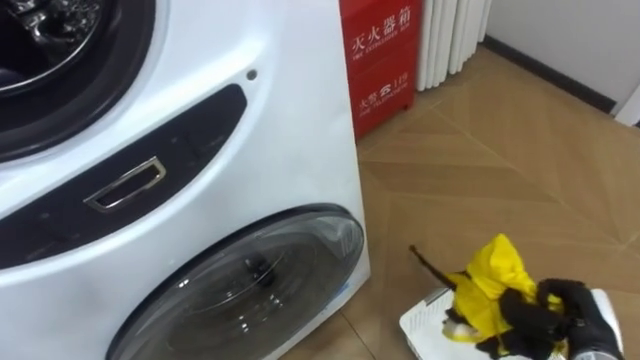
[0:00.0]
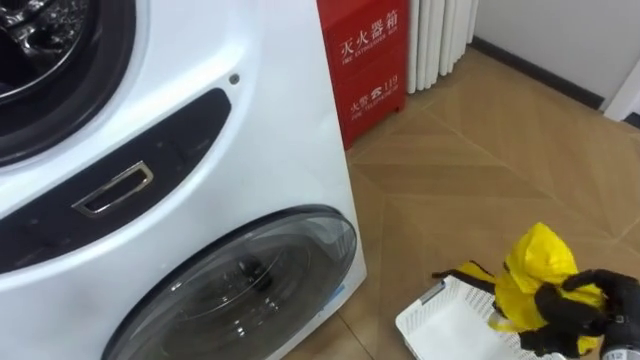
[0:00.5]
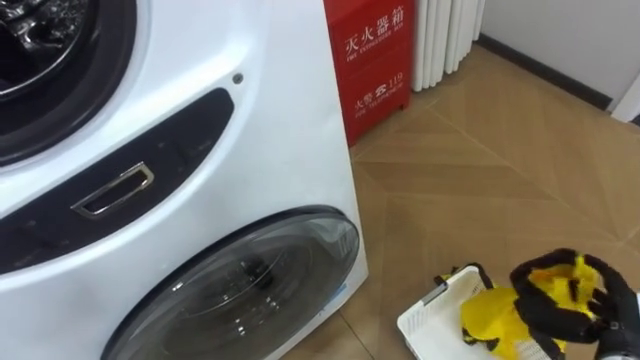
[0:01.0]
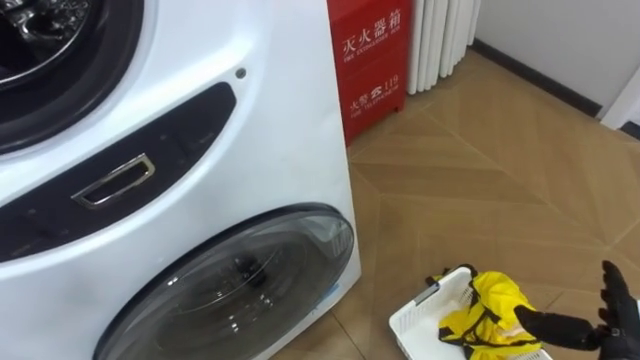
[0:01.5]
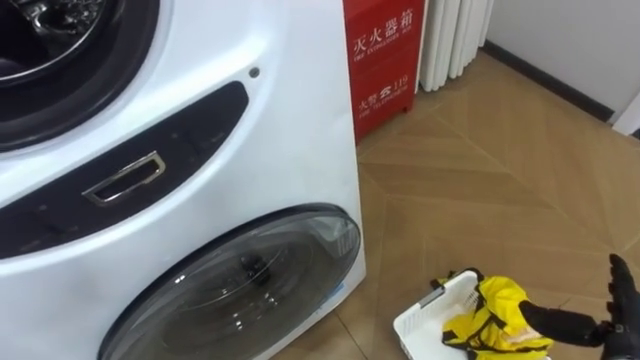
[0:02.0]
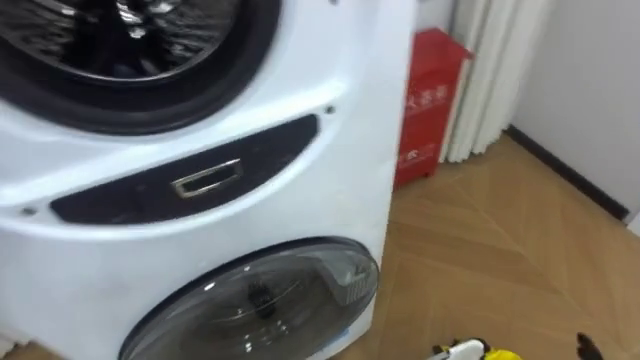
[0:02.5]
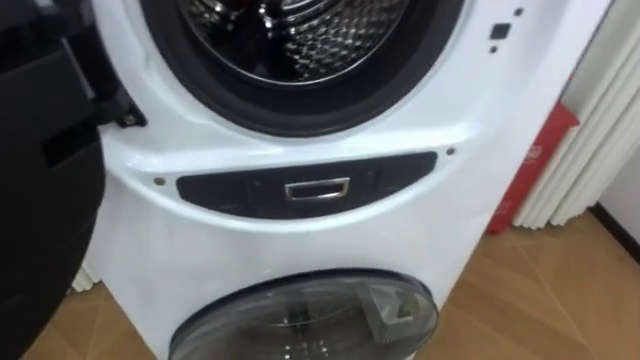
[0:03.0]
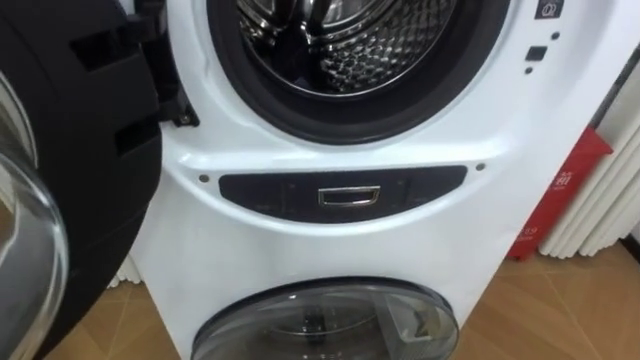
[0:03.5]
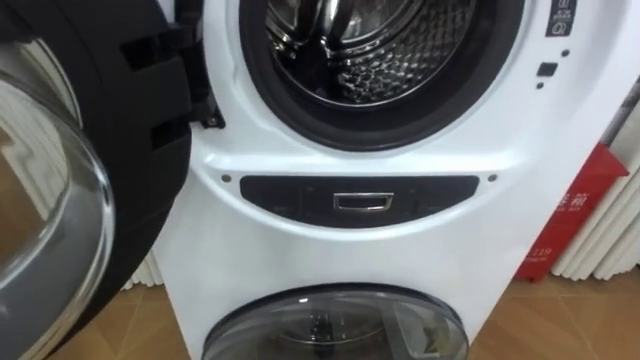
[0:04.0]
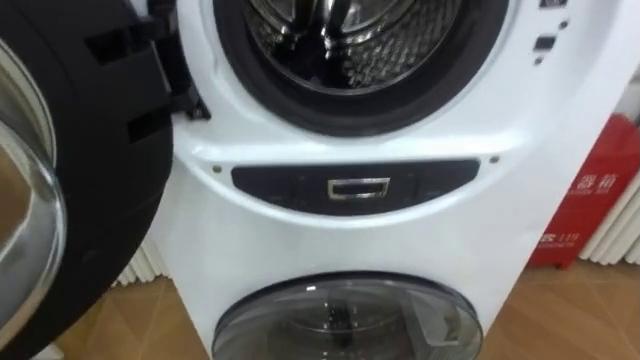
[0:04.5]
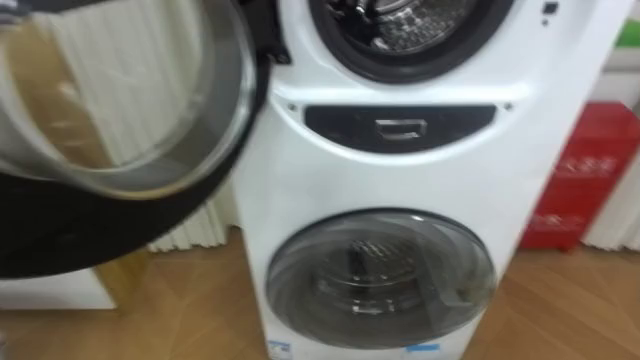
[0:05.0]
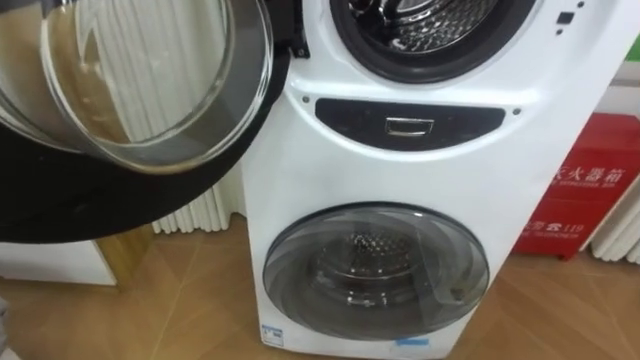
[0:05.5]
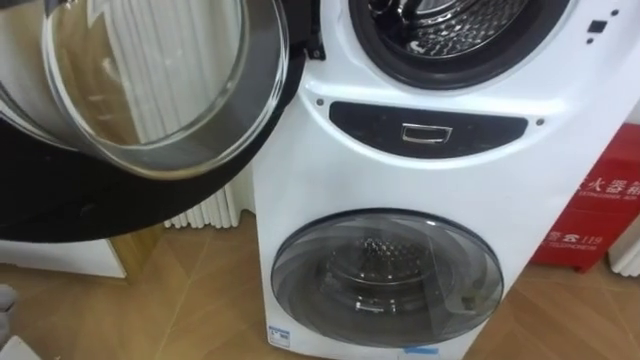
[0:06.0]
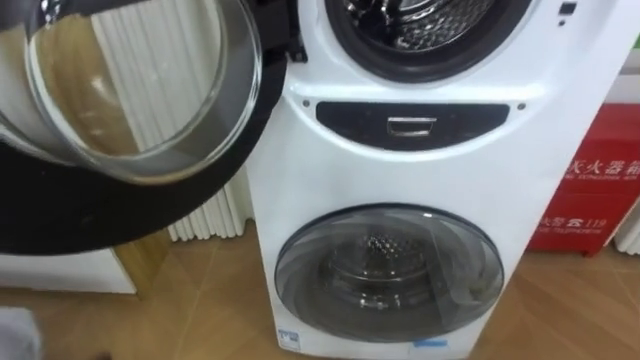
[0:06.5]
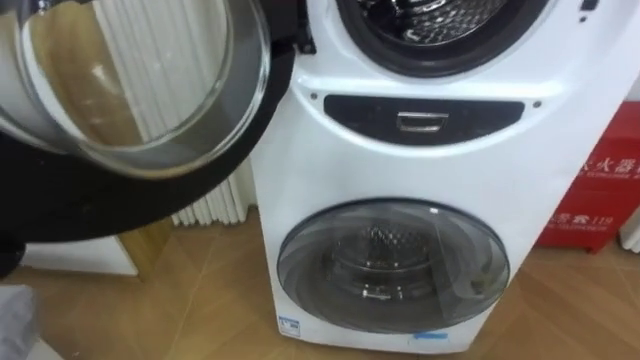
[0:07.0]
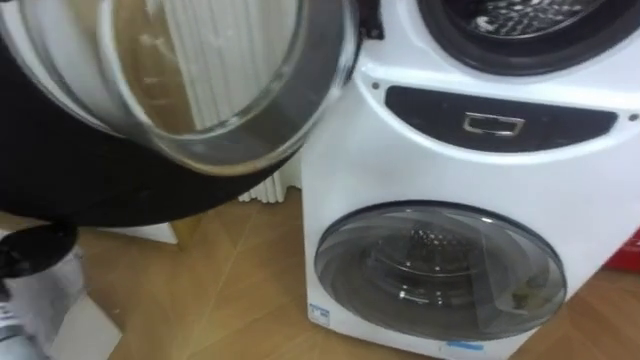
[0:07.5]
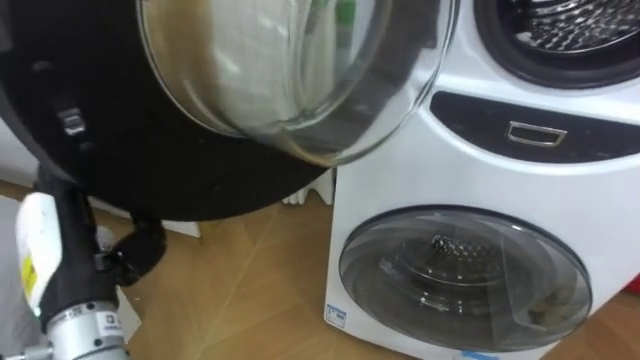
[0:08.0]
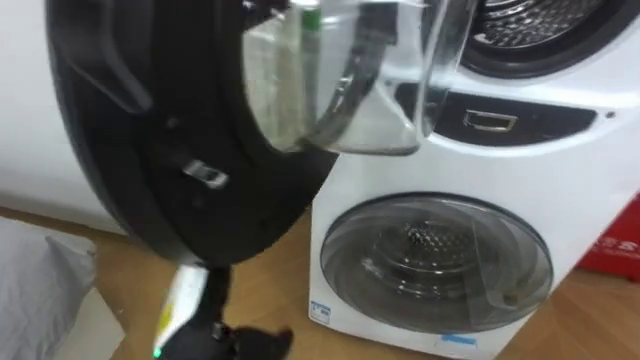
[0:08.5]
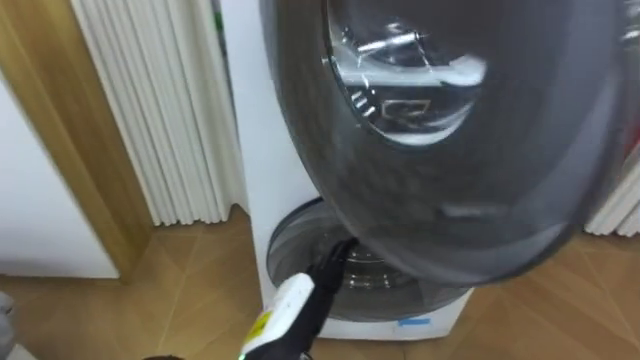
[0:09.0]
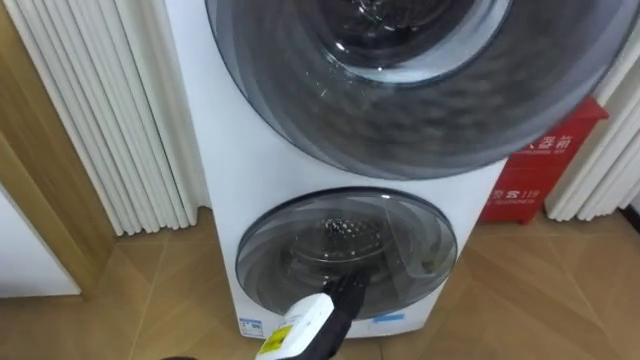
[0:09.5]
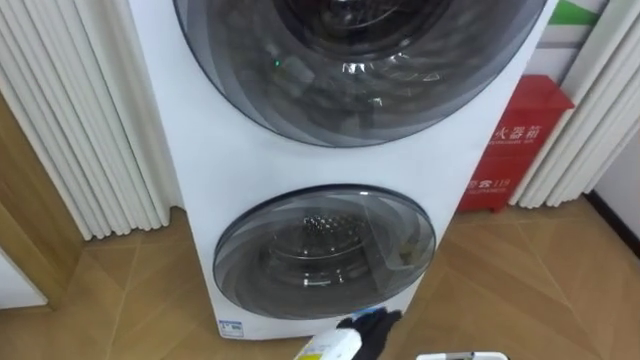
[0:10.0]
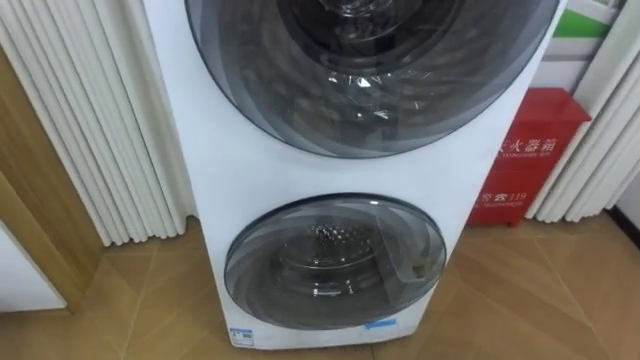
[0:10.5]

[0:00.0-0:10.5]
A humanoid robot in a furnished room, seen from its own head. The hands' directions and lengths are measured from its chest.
Task of the whole recording: Open the washing machine door, take out the yellow clothes, place them in the box on the right, and close the washing machine door.
0:00.0 to 0:02.0: The right hand opens up.

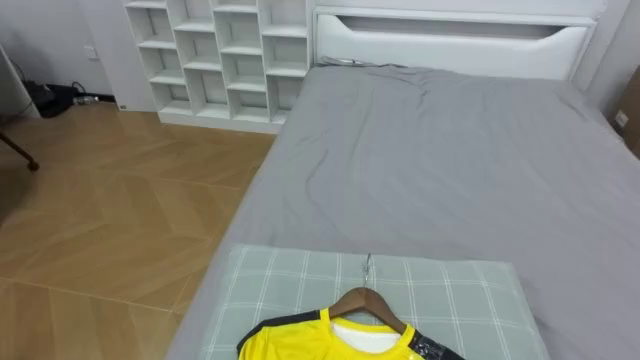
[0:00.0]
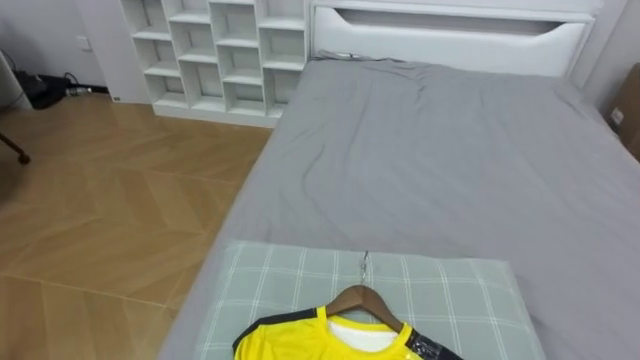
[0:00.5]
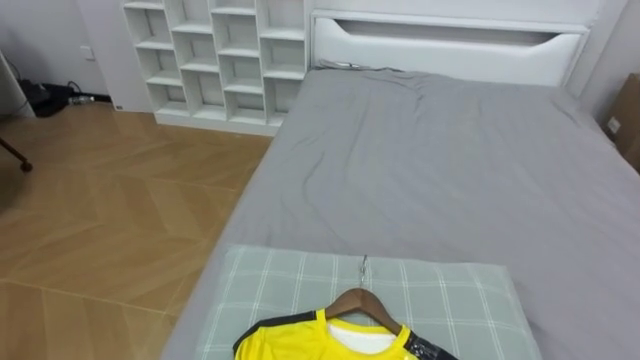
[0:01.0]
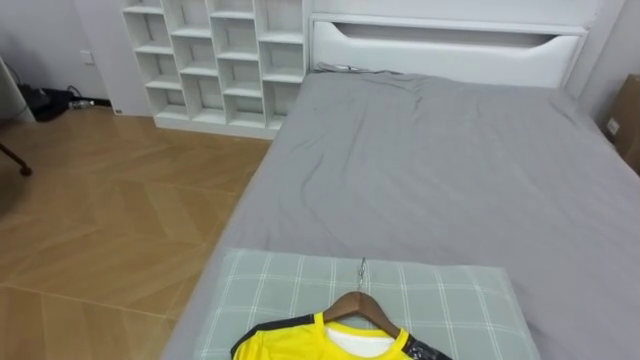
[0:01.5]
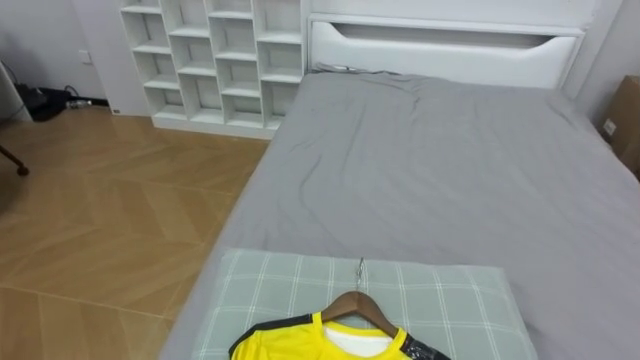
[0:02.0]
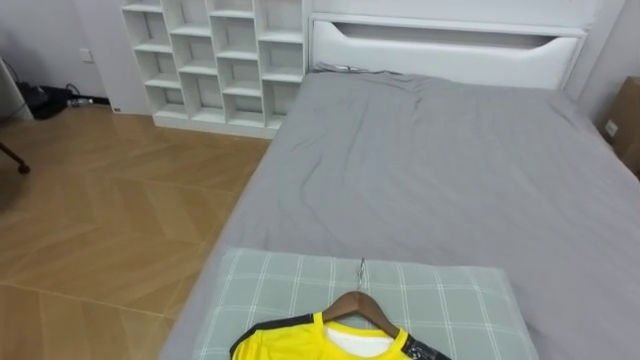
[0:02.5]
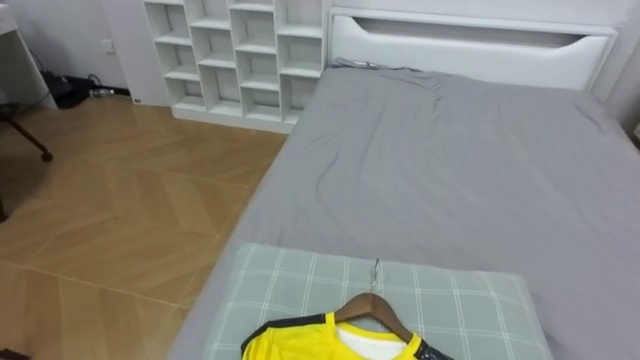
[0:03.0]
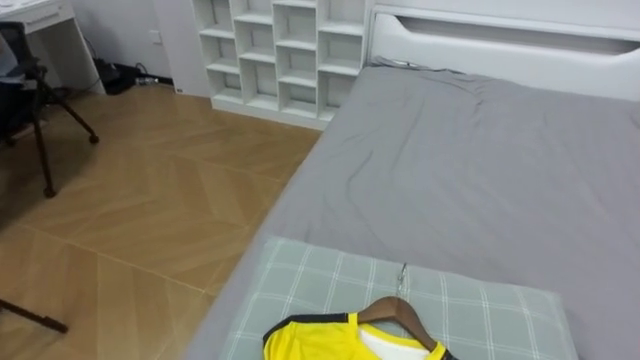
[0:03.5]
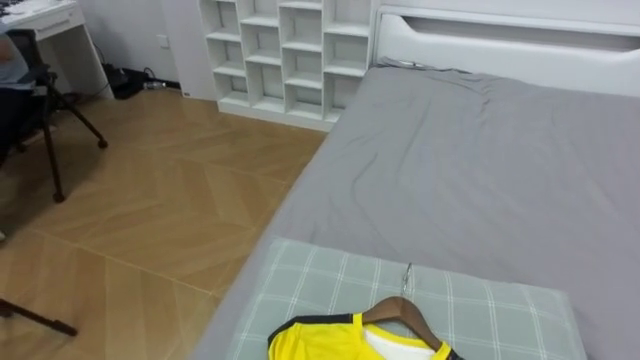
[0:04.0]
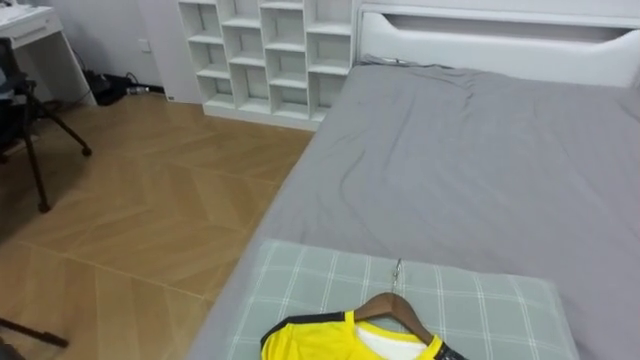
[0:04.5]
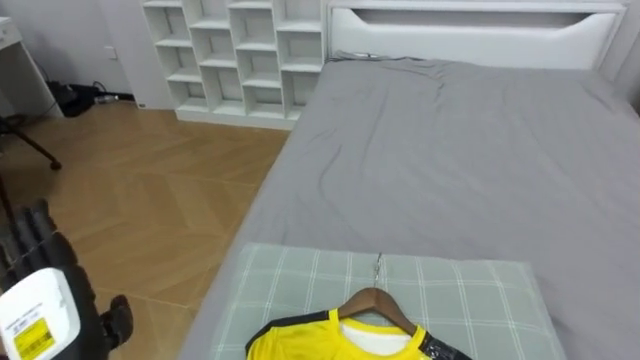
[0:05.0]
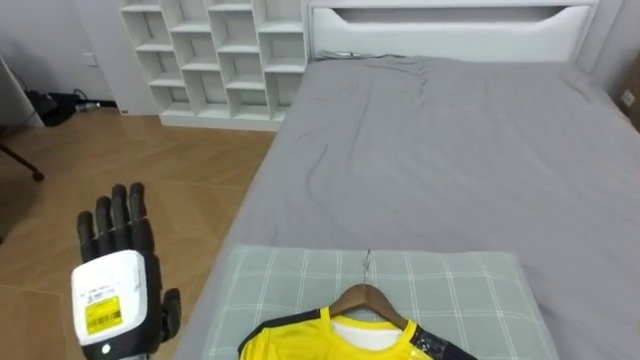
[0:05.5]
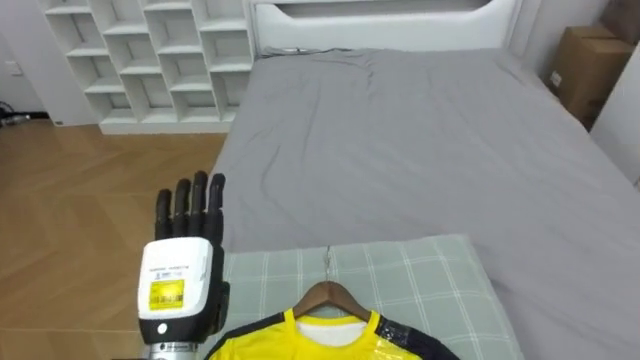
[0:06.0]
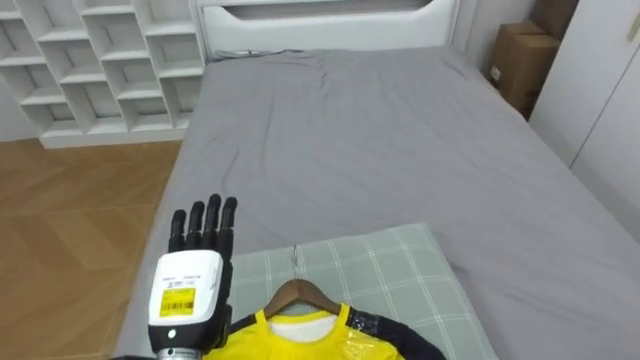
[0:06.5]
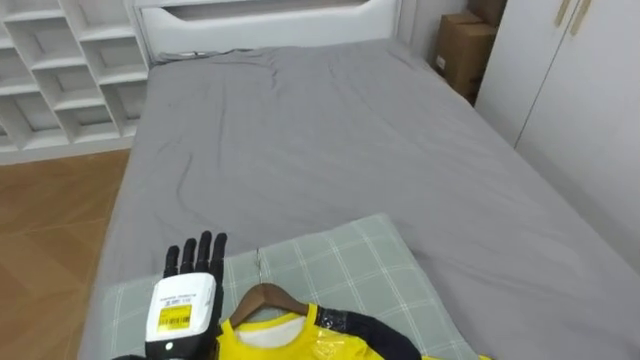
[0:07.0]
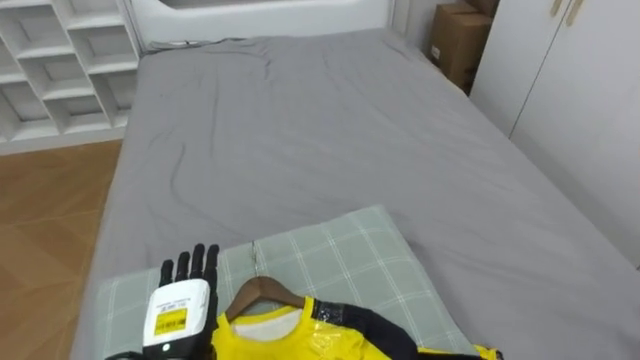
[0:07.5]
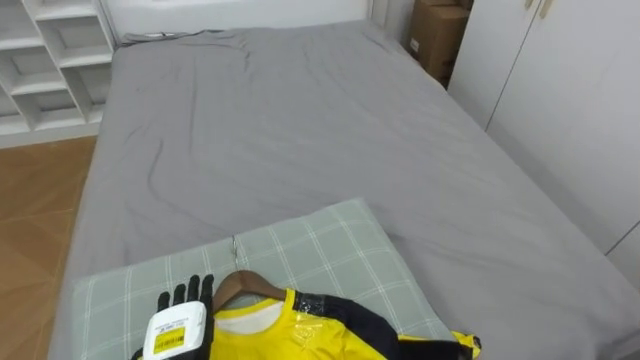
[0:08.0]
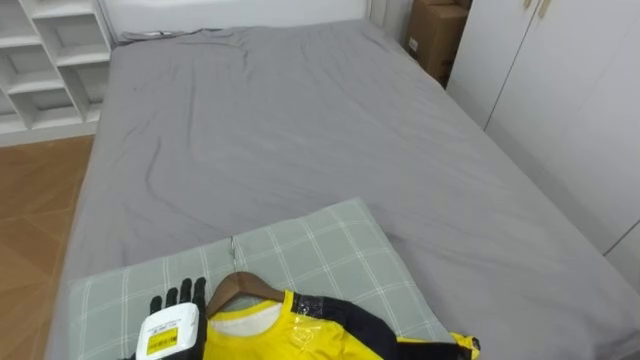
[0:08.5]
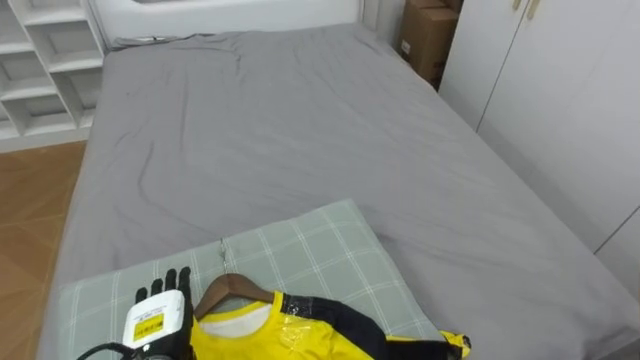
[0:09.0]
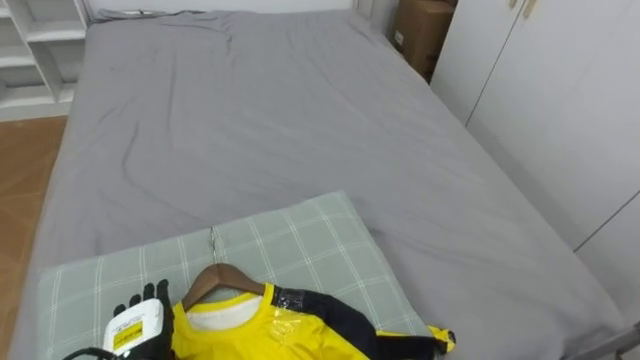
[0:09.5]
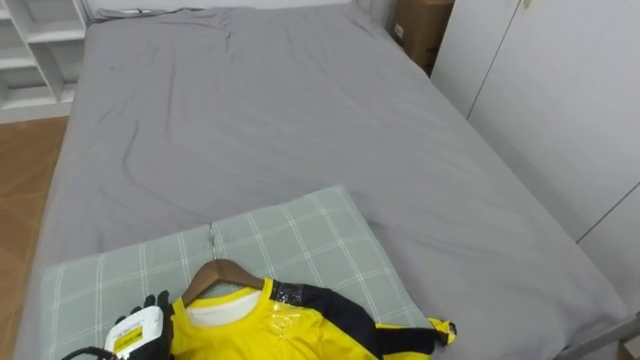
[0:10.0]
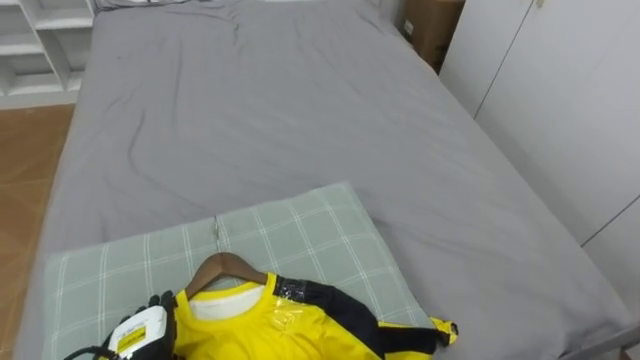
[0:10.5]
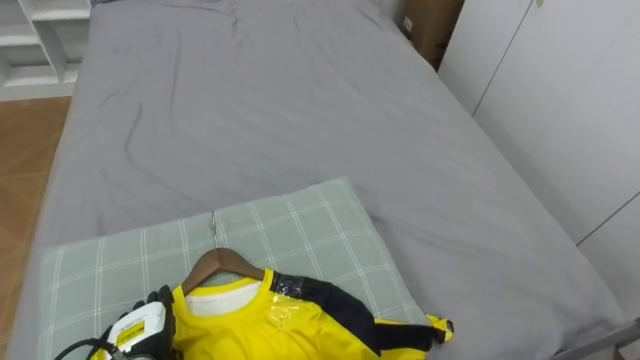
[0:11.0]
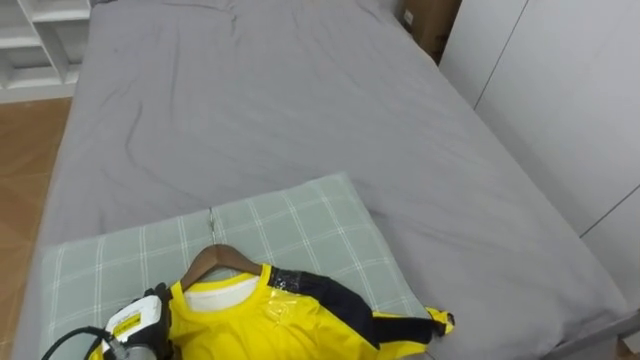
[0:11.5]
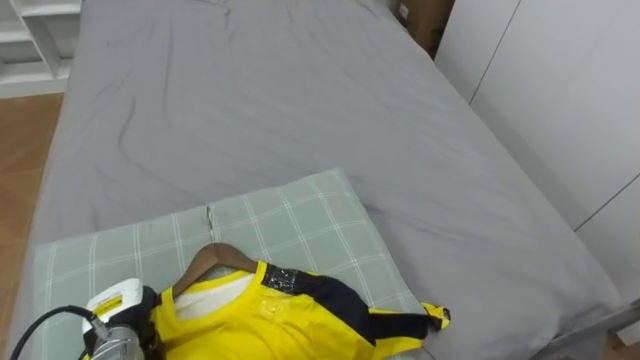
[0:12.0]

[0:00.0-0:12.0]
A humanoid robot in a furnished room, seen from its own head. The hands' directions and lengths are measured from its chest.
Task of the whole recording: Pick up the yellow shirt on the bed and hang it on the clothes rack on the right.
0:06.0 to 0:08.0: The left hand moves downward, roughly 15 cm.
0:08.0 to 0:10.0: The left hand moves to the left, about 5 cm.
0:10.0 to 0:12.0: The left hand ends up about 5 cm from where it was, and closes its fingers.
